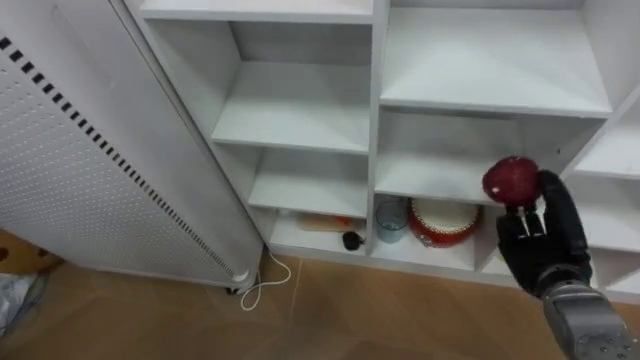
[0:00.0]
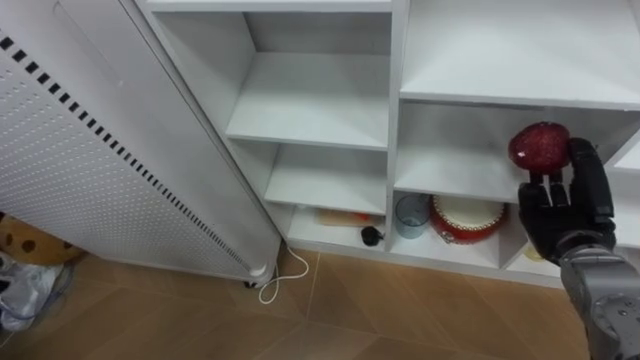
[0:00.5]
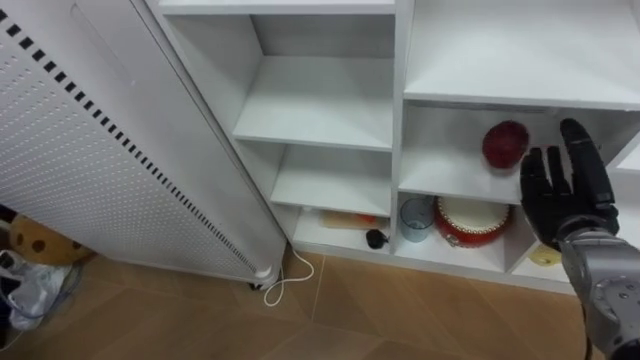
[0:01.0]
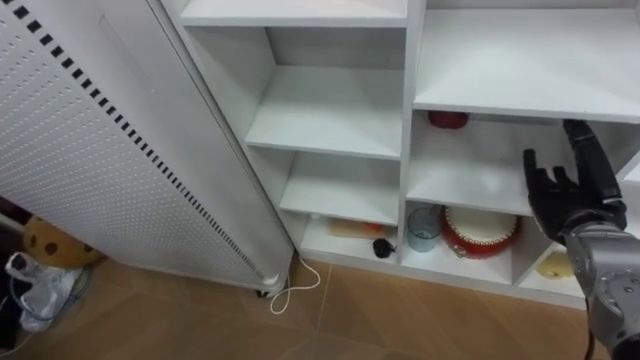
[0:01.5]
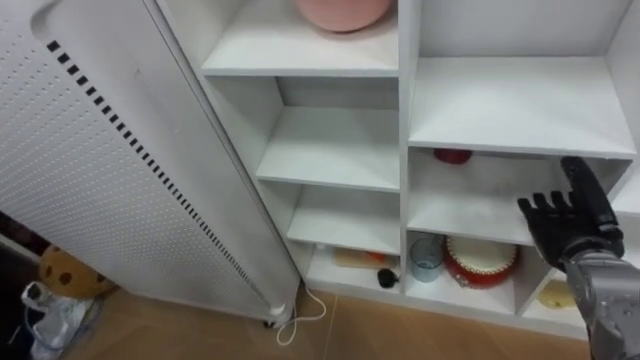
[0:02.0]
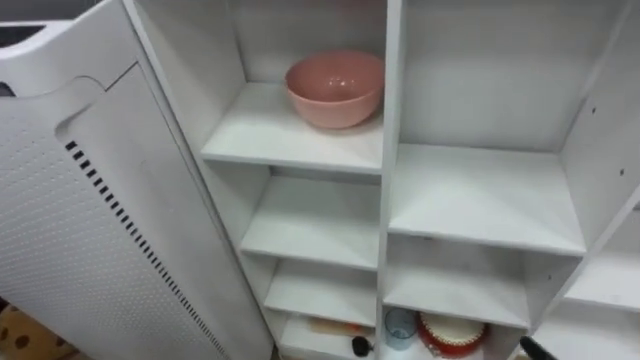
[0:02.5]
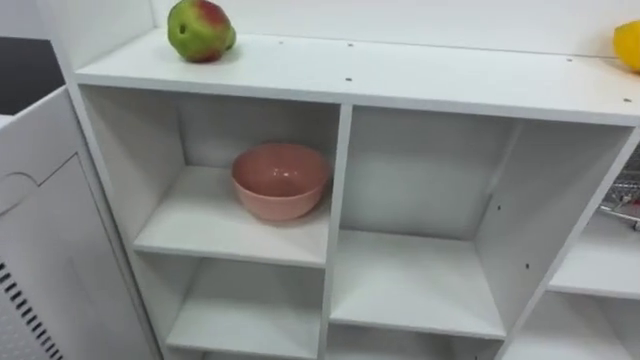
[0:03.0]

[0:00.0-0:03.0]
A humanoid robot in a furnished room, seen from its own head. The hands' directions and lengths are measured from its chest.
Task of the whole recording: Put the apple in the cell in the second column from the left and the second row from the top.
0:00.0 to 0:01.5: The right hand moves upward, some 5 cm, and opens up.

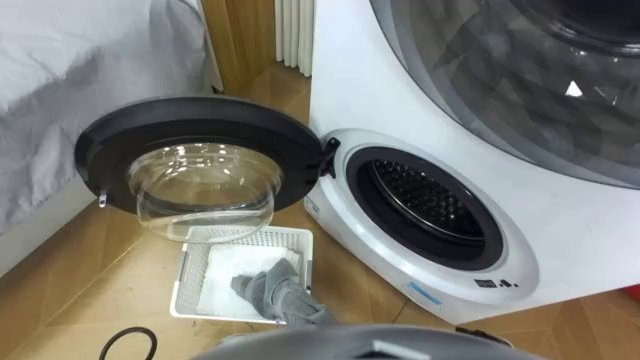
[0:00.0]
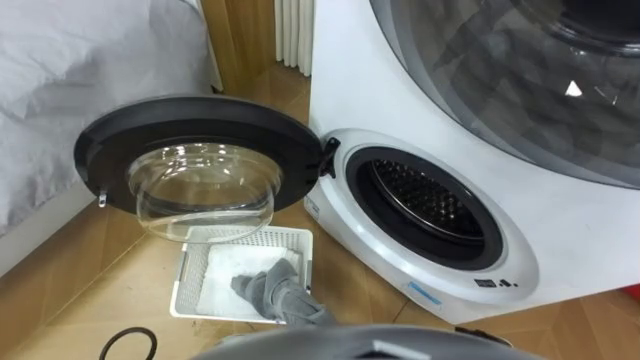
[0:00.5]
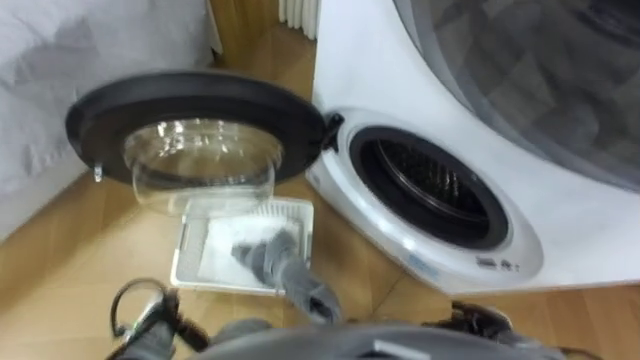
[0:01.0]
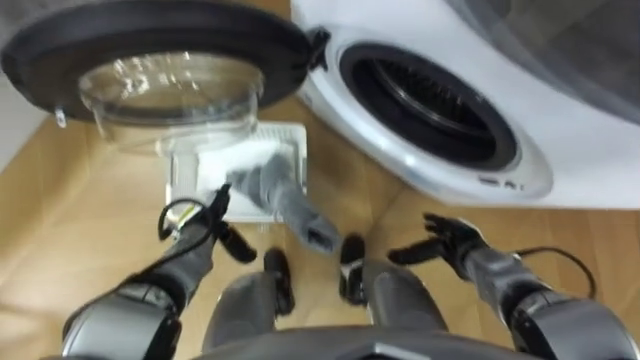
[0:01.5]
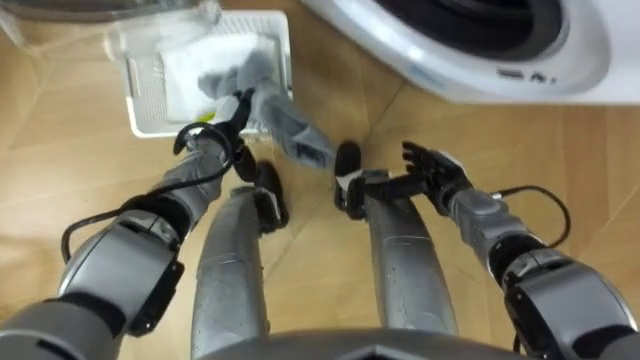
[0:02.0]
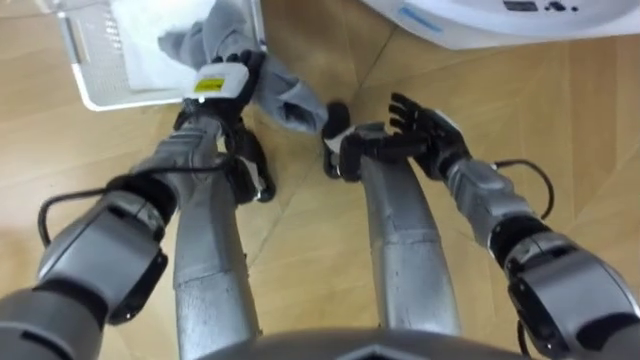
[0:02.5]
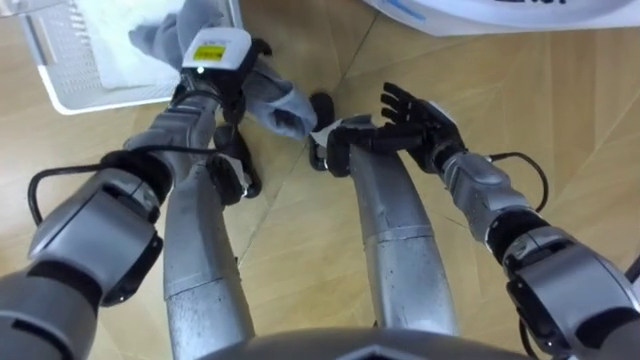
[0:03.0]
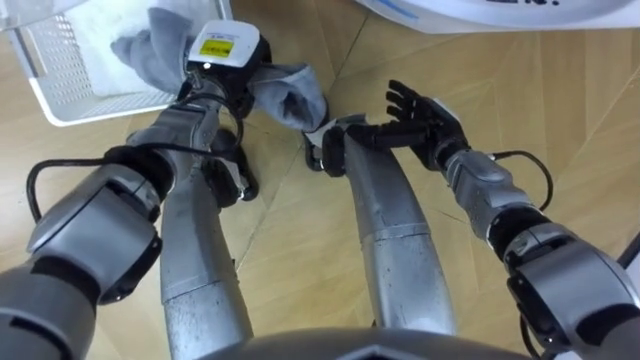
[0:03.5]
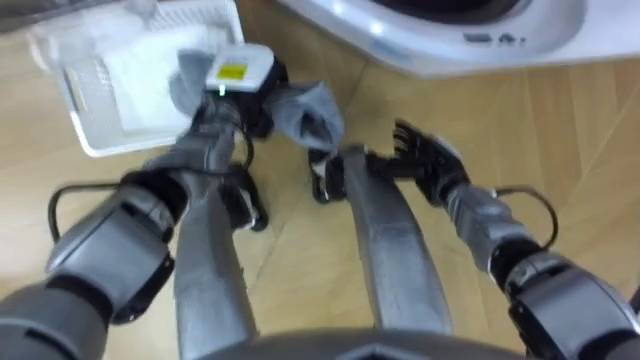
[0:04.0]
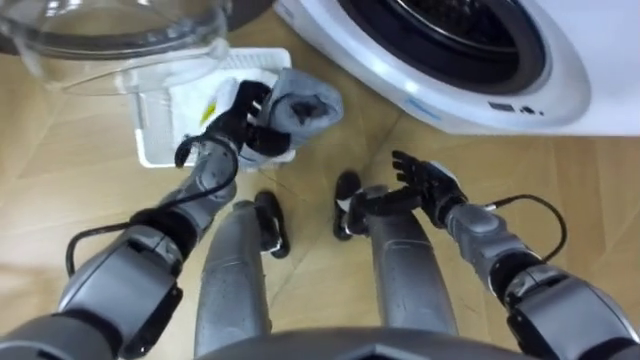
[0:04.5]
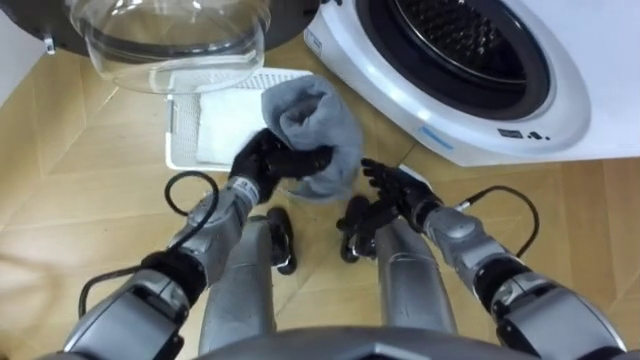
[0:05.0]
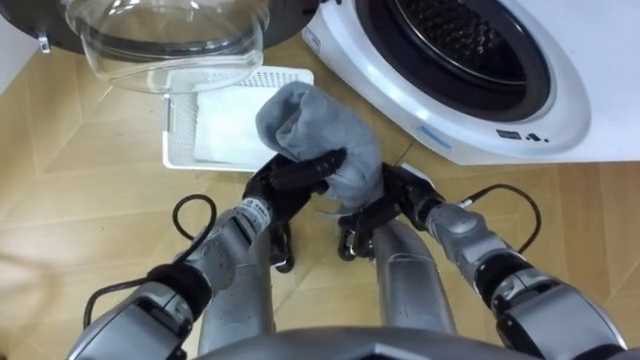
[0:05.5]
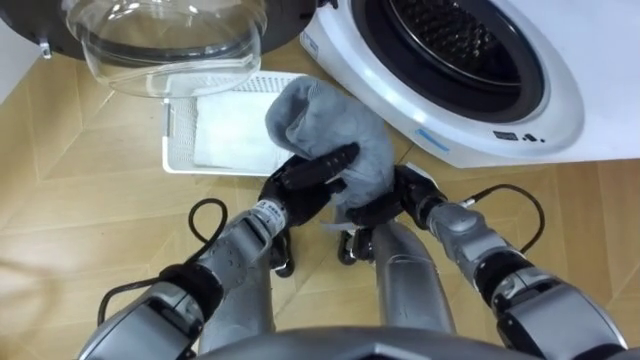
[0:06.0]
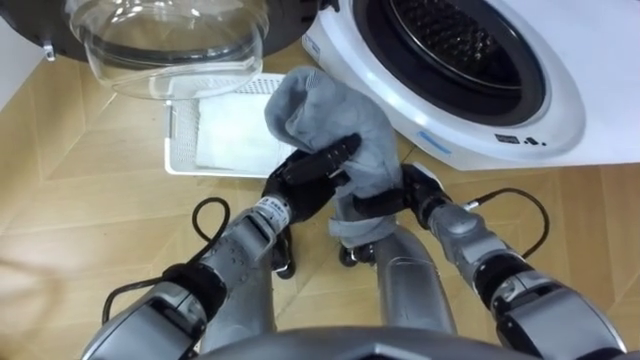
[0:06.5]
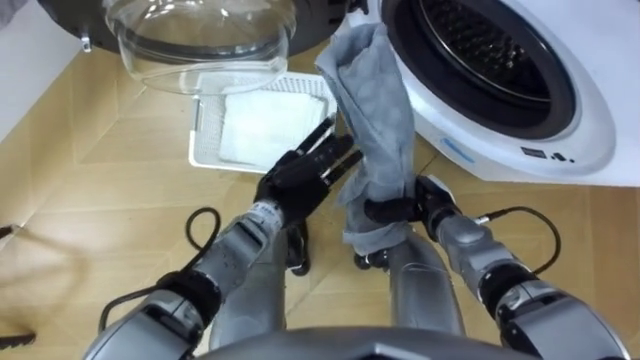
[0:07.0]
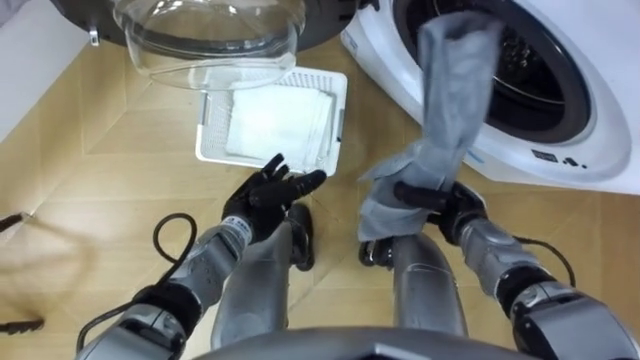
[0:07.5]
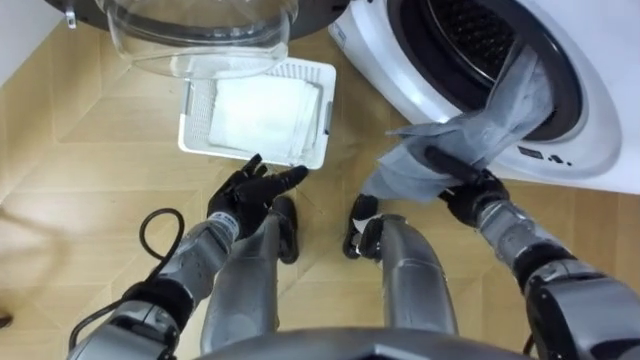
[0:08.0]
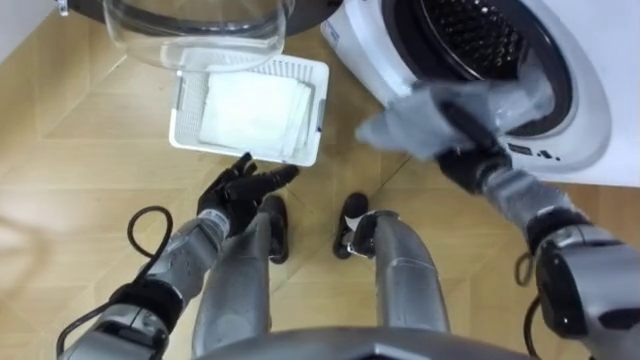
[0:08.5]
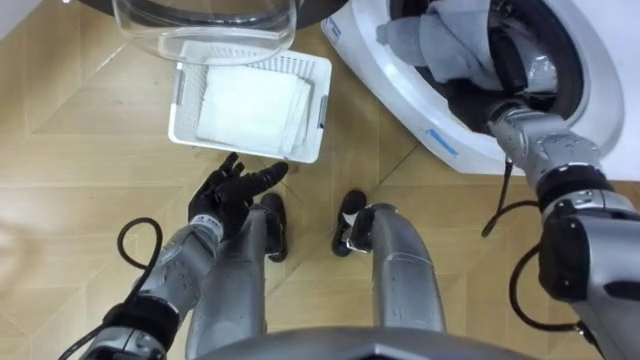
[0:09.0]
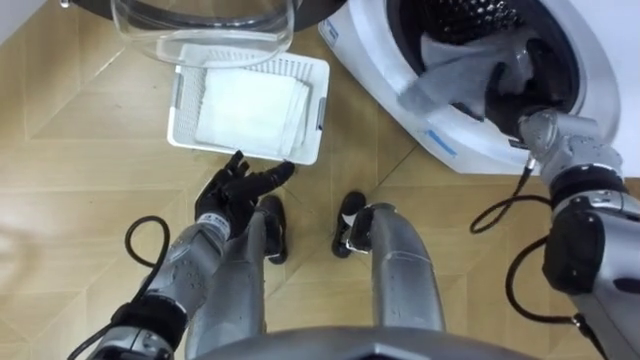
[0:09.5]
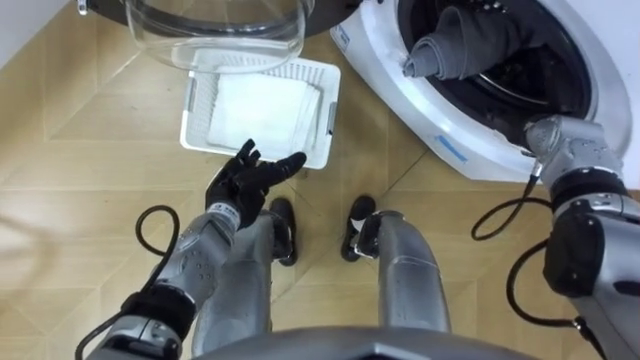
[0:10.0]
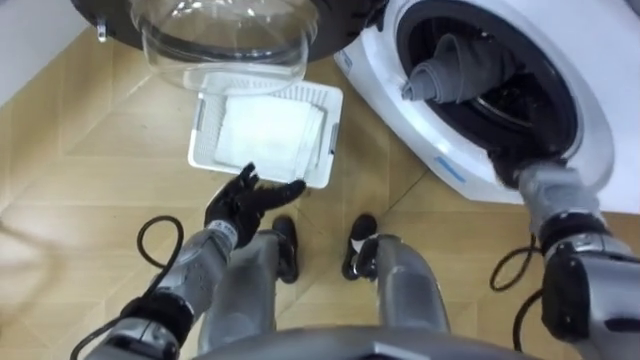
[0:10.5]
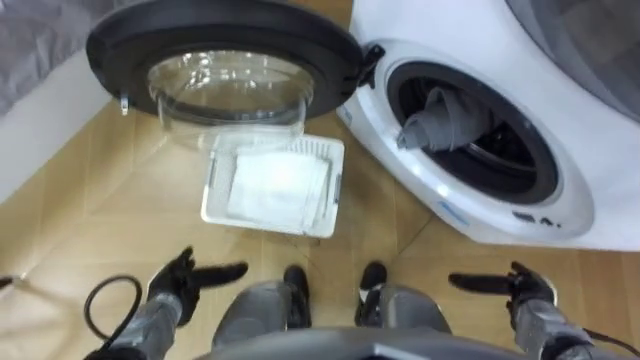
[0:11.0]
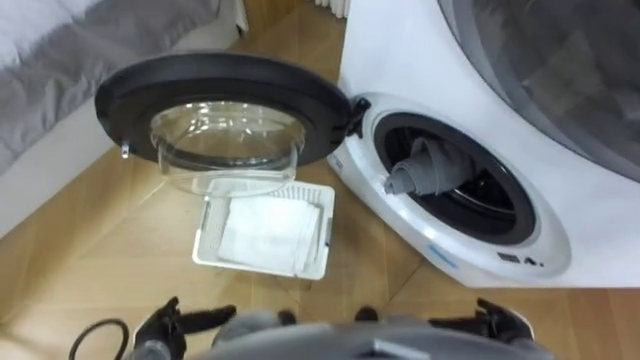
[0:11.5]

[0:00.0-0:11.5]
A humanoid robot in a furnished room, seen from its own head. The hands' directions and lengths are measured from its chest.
Task of the whole recording: Take the towel from the basket and put it into the washing machine.
0:02.0 to 0:04.0: The left hand moves upward, about 5 cm, and closes its fingers.
0:04.0 to 0:06.0: The left hand goes approximately 15 cm backward, to the right and downward. Meanwhile the right hand changes place by about 5 cm.
0:06.0 to 0:07.5: The left hand travels to the left by roughly 5 cm, and opens up. The right hand goes about 10 cm to the right, and closes up.
0:07.5 to 0:09.5: The right hand heads forward, upward and to the right, covering about 15 cm, and opens up.
0:09.5 to 0:11.5: The left hand heads backward, to the left and downward, covering about 25 cm. The right hand goes some 35 cm backward and downward.

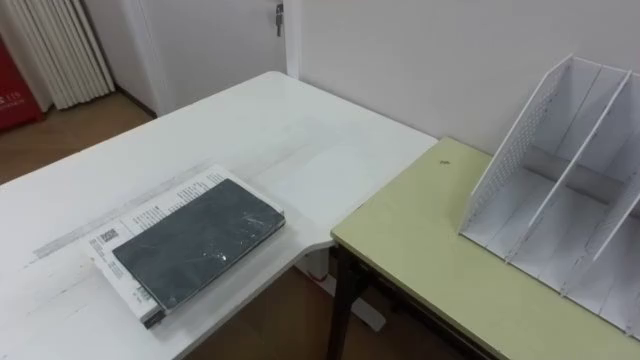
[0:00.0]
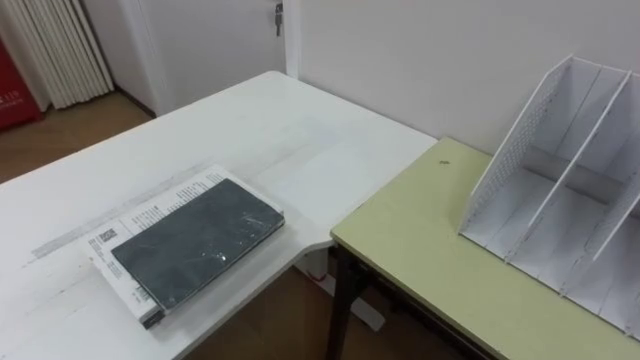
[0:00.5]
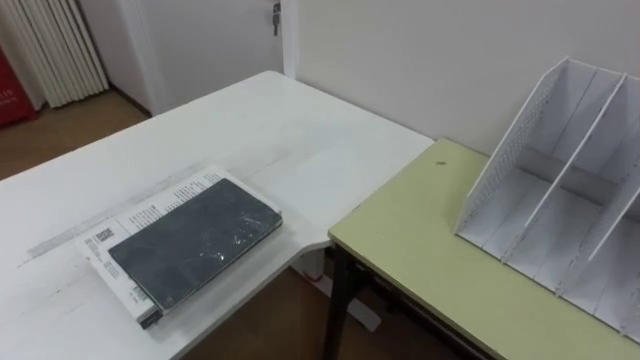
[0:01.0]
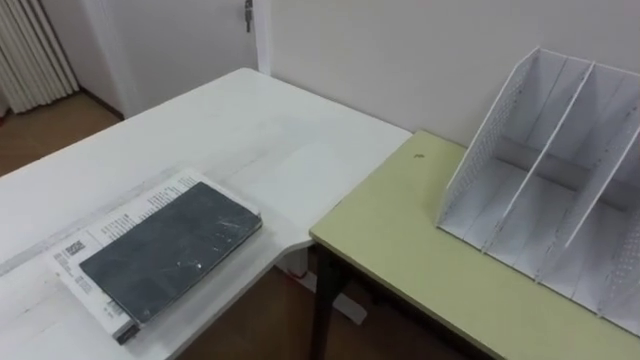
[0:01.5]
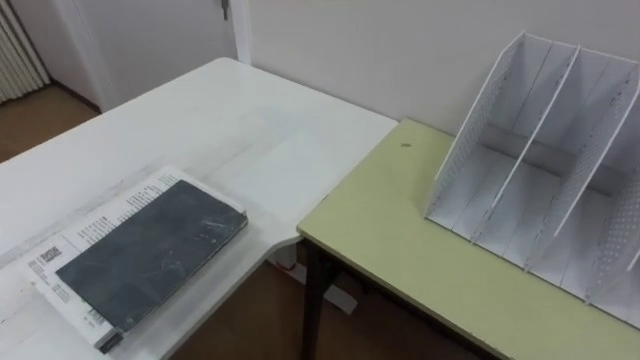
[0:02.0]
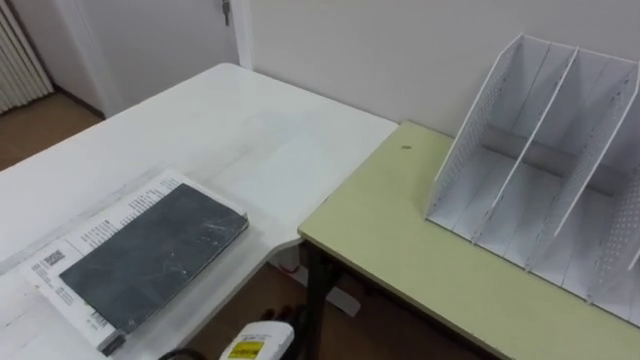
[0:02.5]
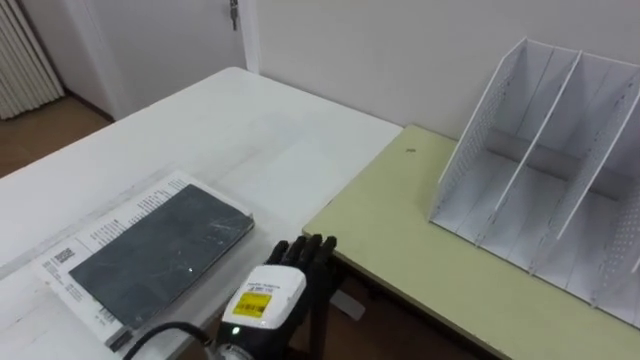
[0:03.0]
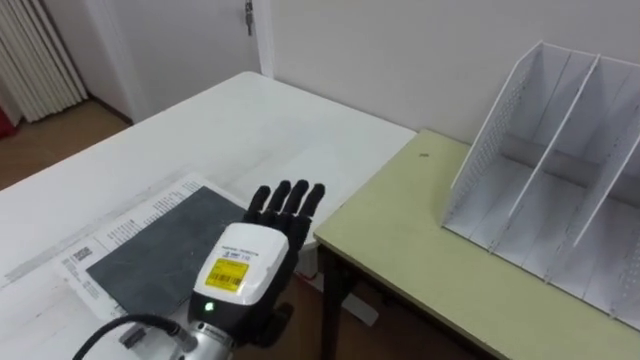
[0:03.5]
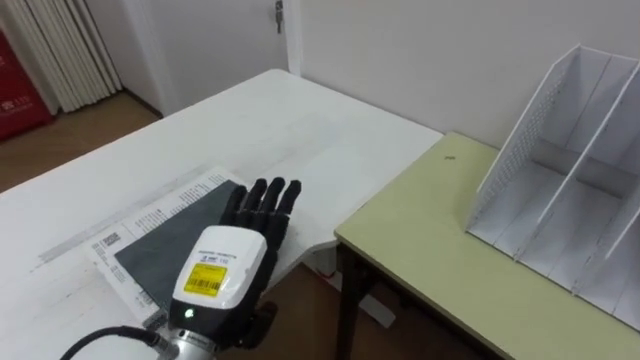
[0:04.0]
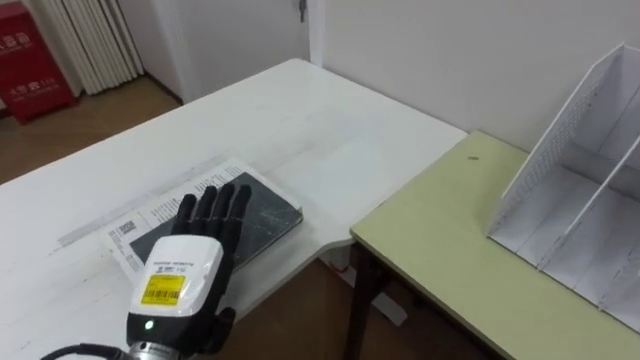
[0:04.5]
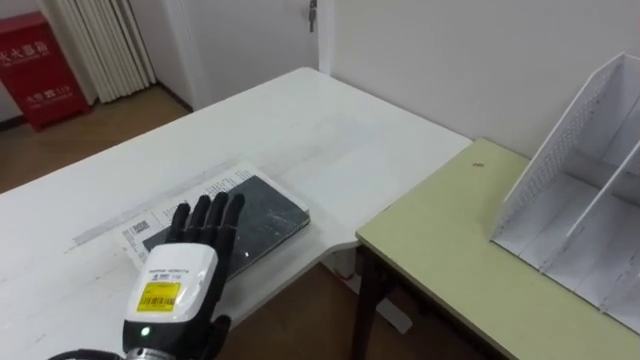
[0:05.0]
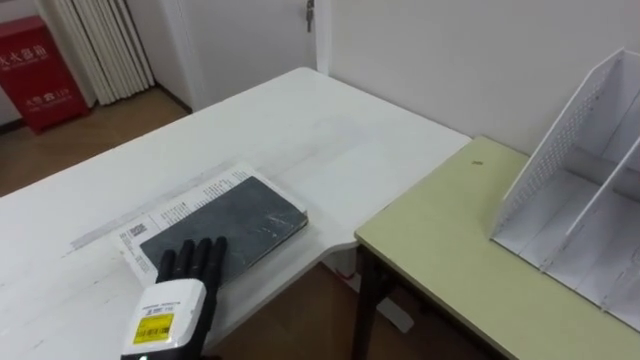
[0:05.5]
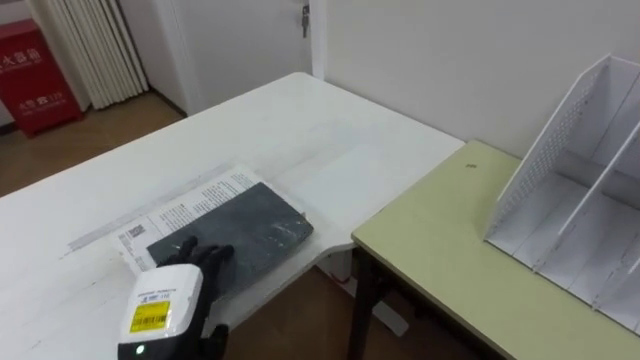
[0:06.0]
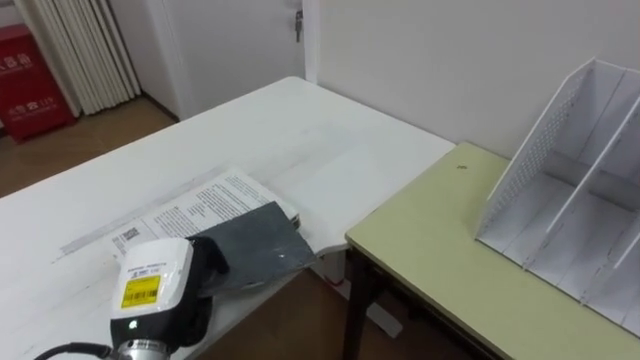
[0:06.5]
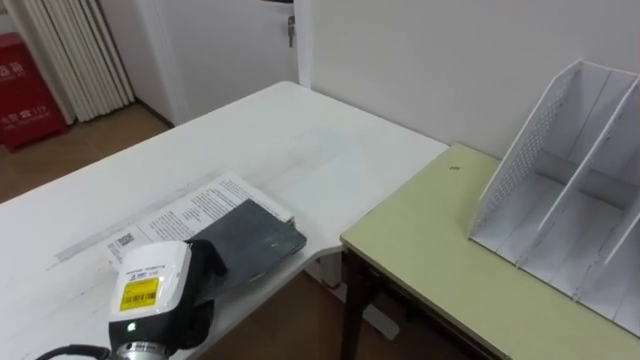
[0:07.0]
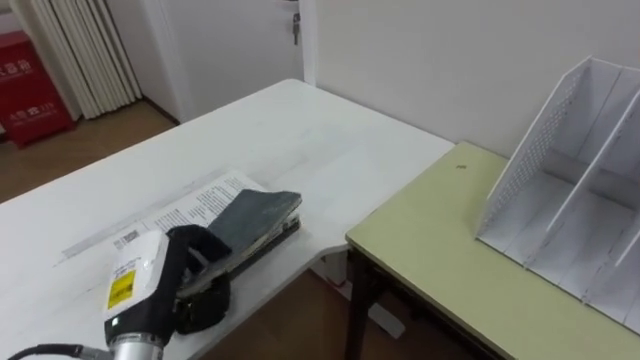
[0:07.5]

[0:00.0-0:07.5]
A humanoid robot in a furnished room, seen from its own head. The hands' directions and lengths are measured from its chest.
Task of the whole recording: Put the books on the table onto the bookshelf.
0:04.0 to 0:05.5: The left hand moves downward and to the left, approximately 10 cm.
0:05.5 to 0:07.5: The left hand ends up approximately 5 cm from where it was, and closes.
